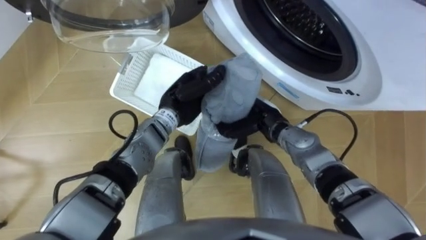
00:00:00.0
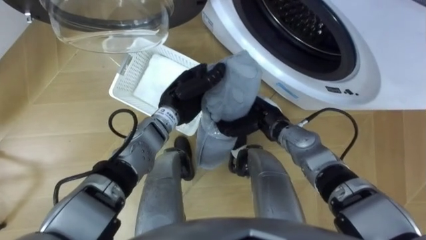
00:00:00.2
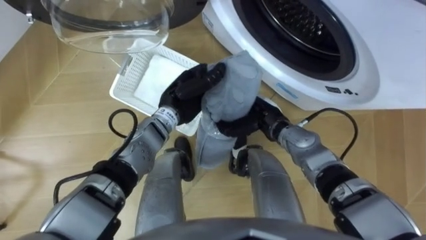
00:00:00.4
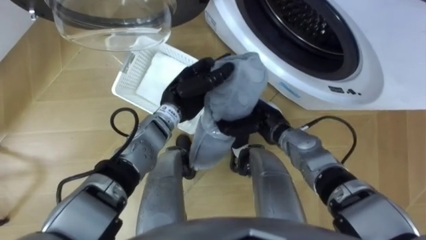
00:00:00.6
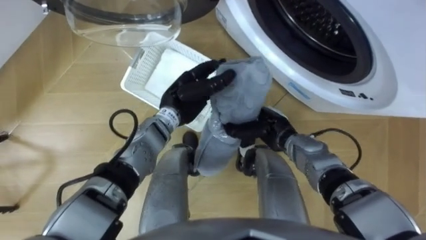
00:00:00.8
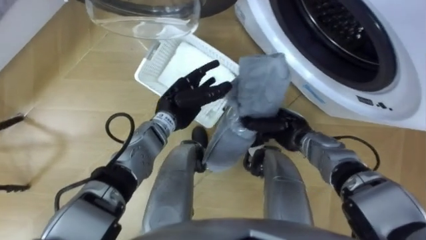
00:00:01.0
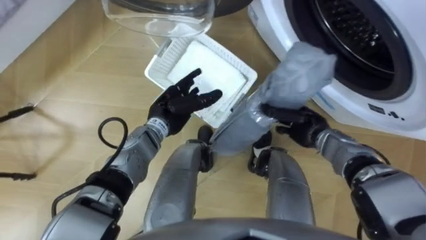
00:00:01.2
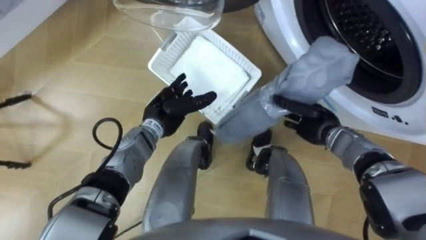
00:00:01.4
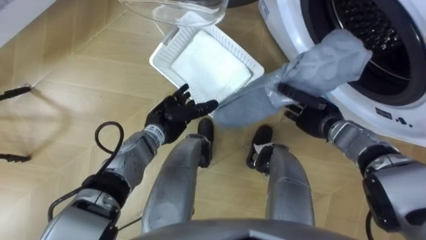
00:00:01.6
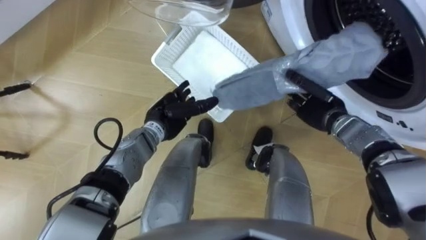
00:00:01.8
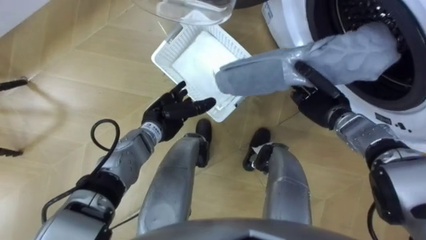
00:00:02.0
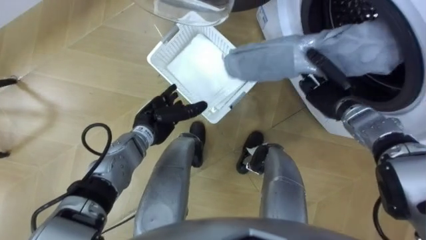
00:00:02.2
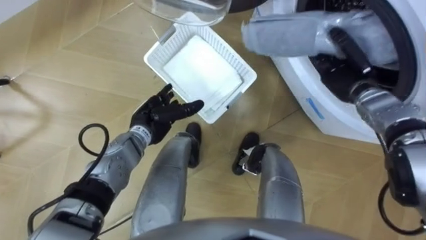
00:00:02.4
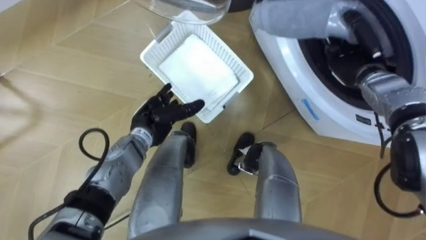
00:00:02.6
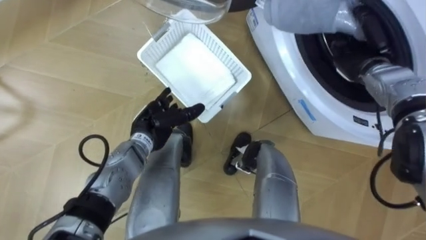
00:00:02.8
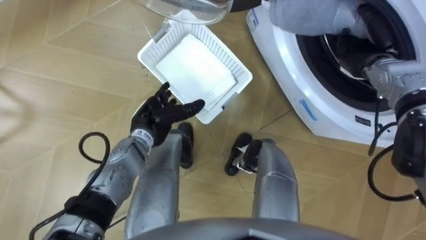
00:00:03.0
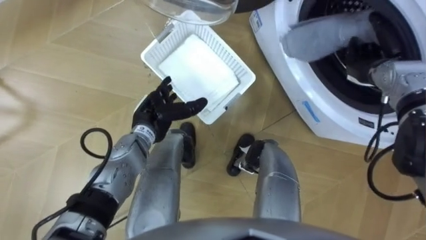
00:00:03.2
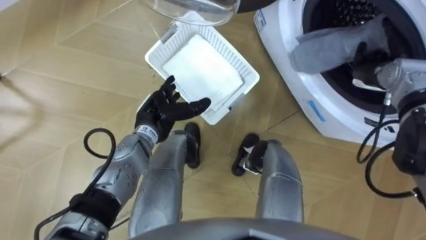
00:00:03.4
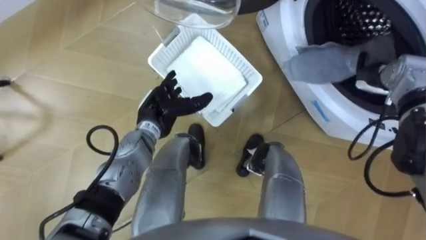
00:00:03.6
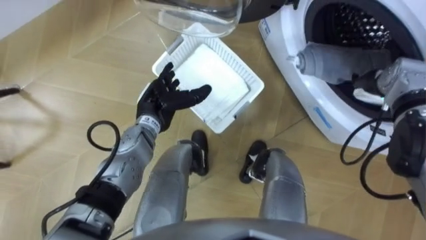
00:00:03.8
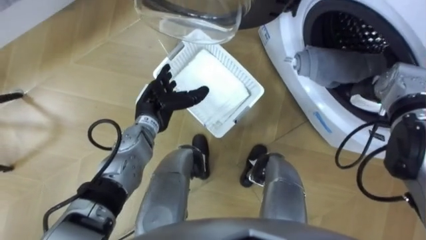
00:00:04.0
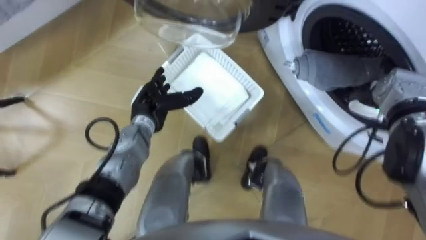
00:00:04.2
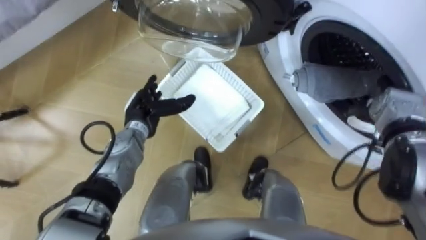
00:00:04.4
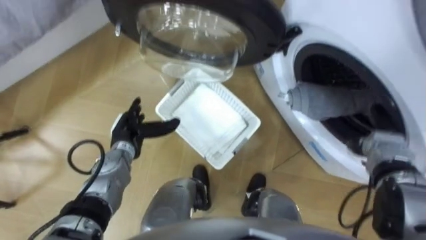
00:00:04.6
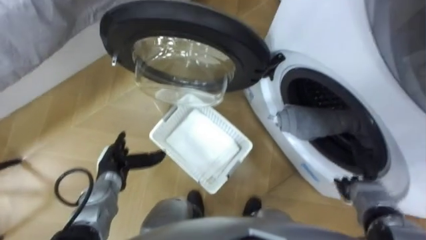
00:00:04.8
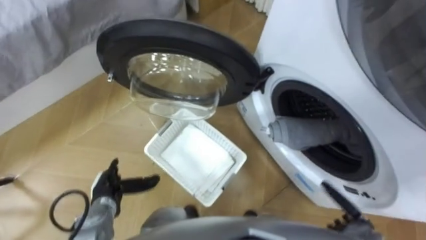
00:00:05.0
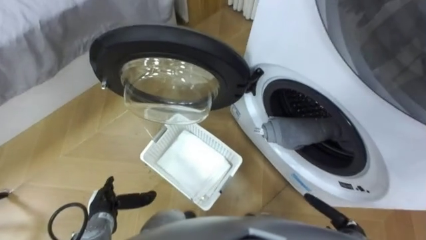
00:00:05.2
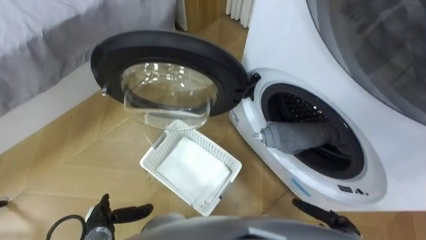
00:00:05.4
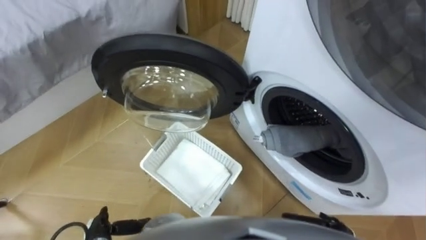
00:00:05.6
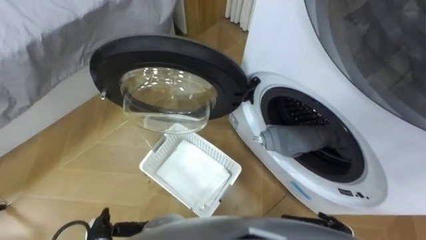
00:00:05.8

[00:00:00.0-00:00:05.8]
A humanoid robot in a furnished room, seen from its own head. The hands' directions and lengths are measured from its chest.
Task of the whole recording: Take the towel from the basket and put it into the washing machine.
00:00:00.0 to 00:00:01.4: The right hand moves to the right, some 15 cm; the left hand ends up about 5 cm from where it was, and opens up.
00:00:01.4 to 00:00:02.8: The right hand travels upward, forward and to the right by some 15 cm.
00:00:02.8 to 00:00:04.4: The right hand heads backward and downward, covering approximately 10 cm, and opens up.
00:00:04.4 to 00:00:05.8: Both hands travel together backward and downward, some 30 cm.

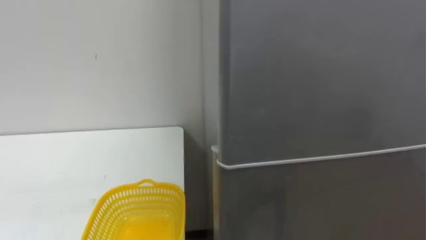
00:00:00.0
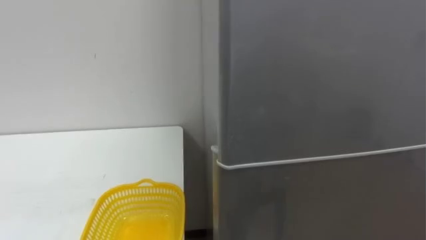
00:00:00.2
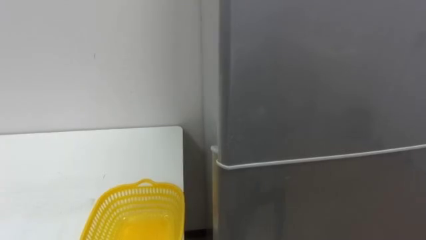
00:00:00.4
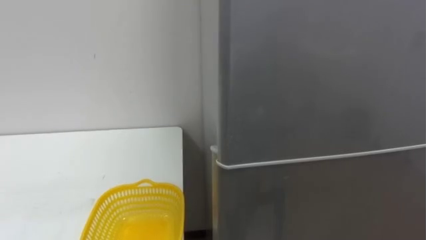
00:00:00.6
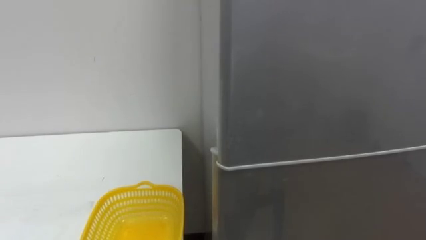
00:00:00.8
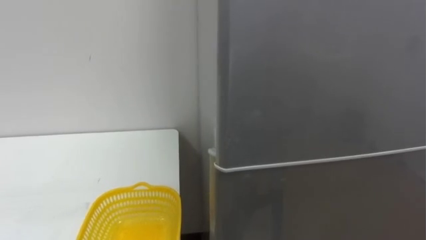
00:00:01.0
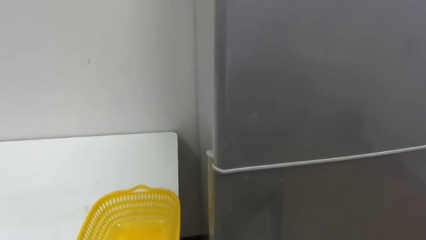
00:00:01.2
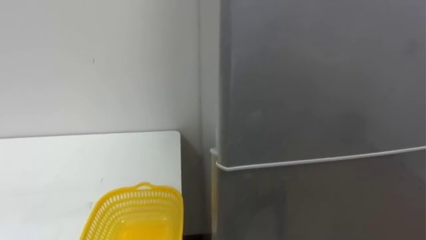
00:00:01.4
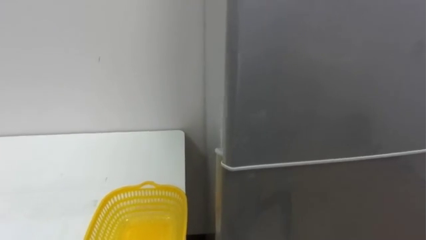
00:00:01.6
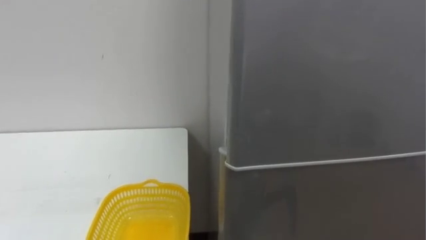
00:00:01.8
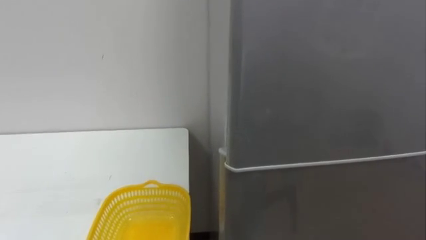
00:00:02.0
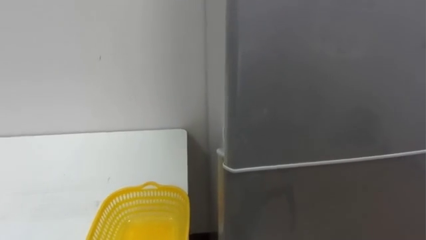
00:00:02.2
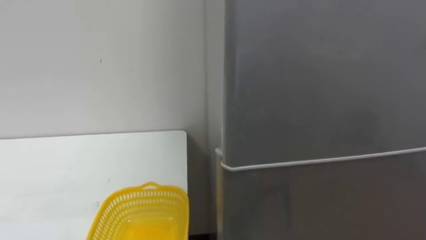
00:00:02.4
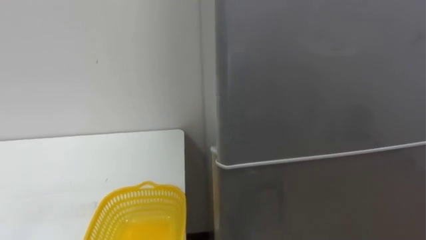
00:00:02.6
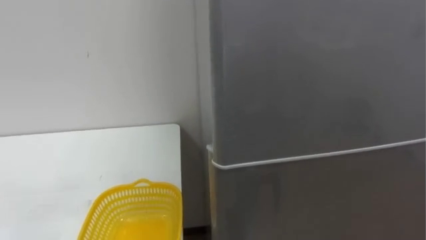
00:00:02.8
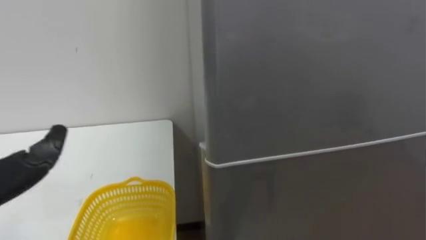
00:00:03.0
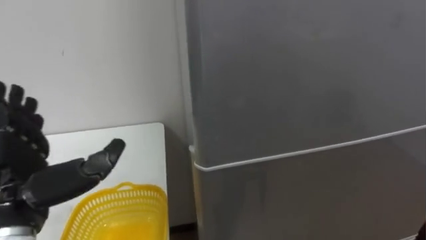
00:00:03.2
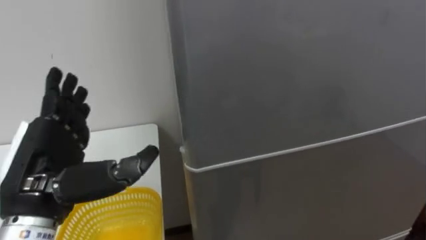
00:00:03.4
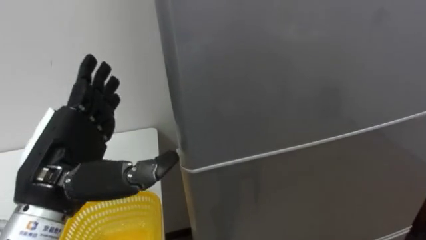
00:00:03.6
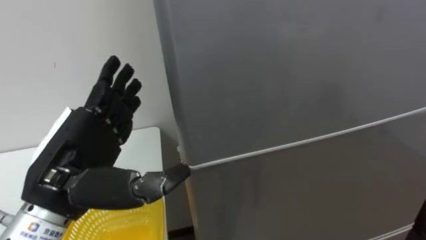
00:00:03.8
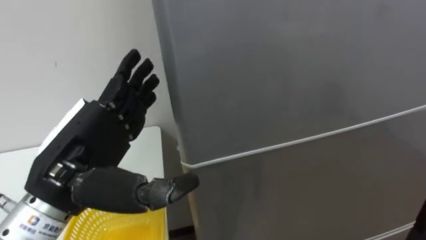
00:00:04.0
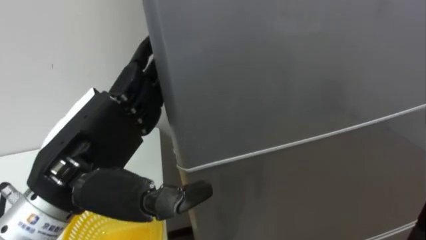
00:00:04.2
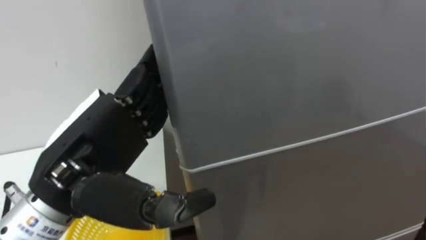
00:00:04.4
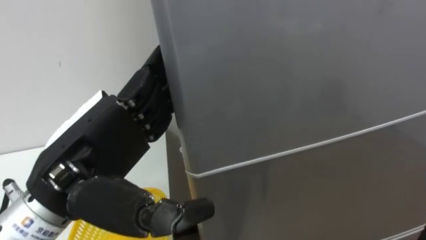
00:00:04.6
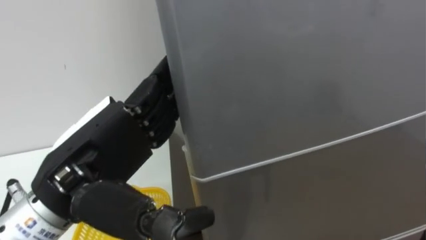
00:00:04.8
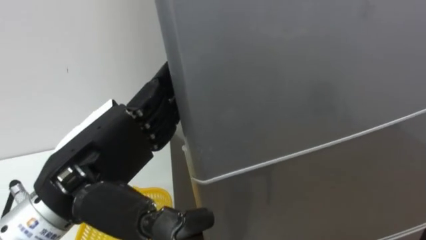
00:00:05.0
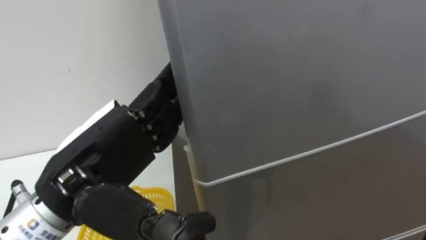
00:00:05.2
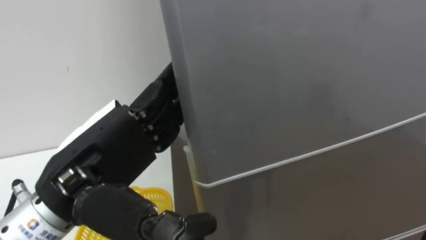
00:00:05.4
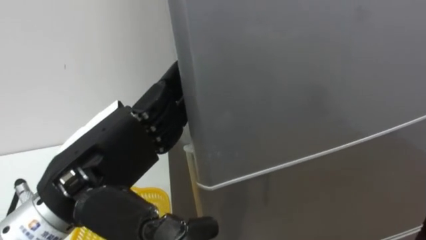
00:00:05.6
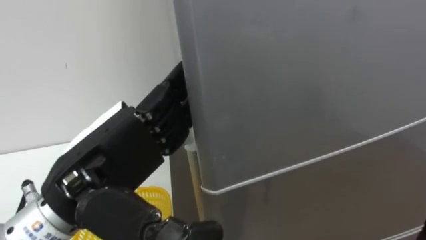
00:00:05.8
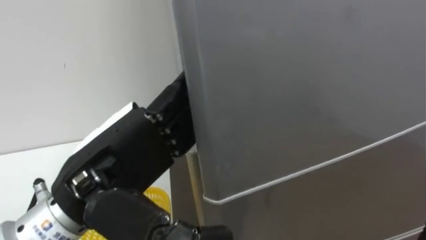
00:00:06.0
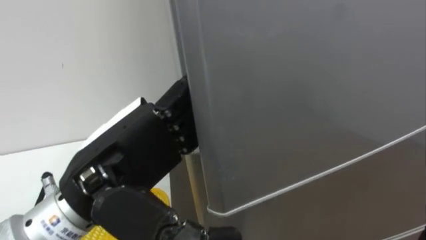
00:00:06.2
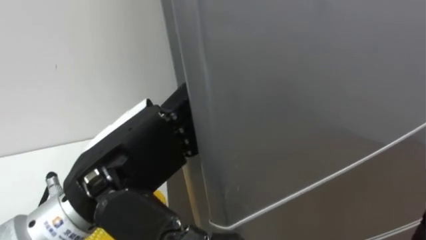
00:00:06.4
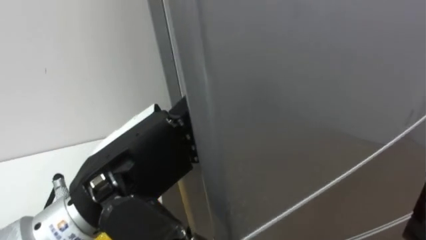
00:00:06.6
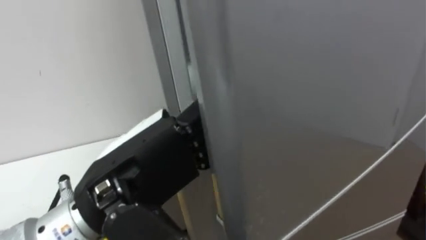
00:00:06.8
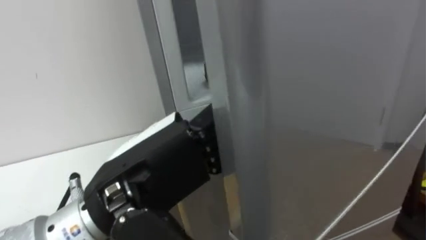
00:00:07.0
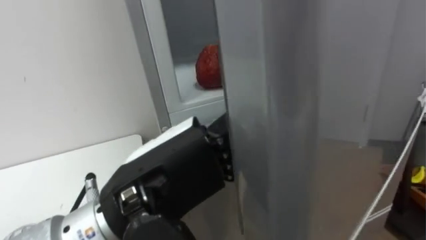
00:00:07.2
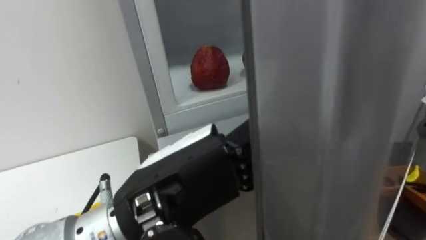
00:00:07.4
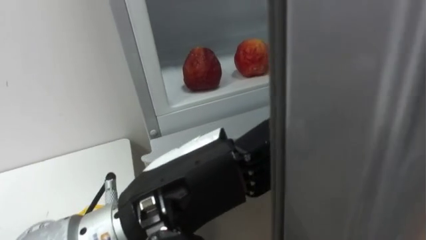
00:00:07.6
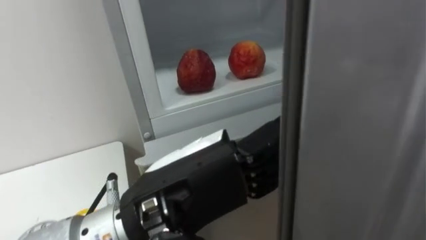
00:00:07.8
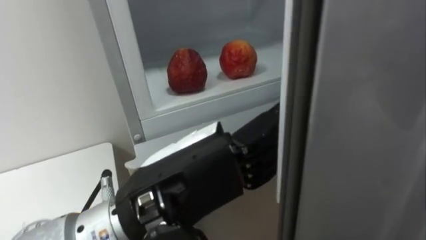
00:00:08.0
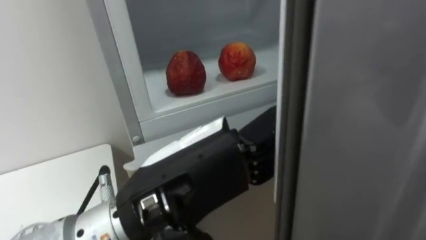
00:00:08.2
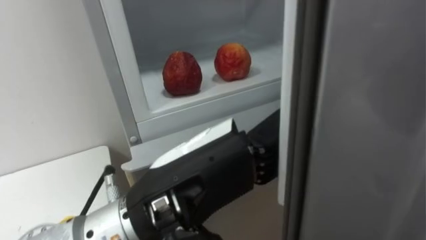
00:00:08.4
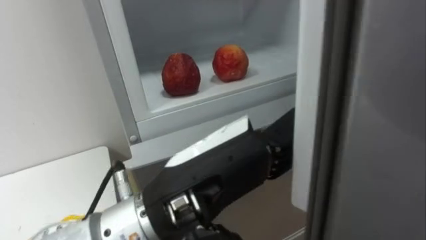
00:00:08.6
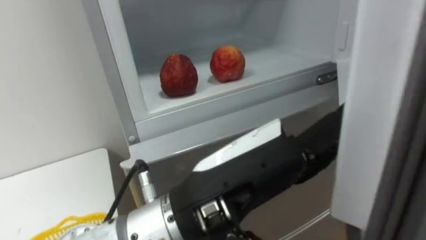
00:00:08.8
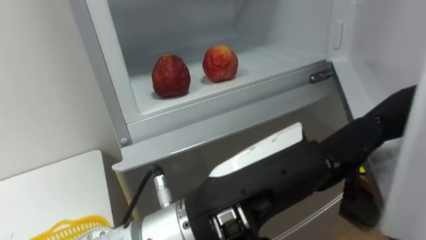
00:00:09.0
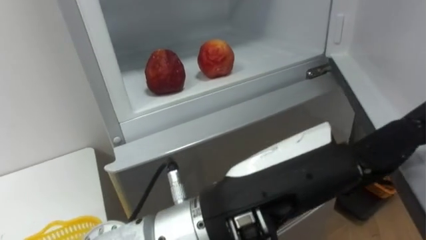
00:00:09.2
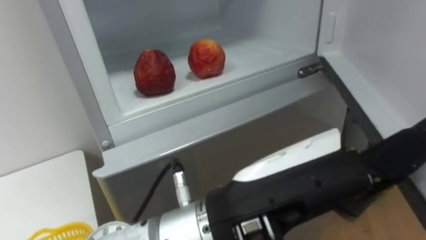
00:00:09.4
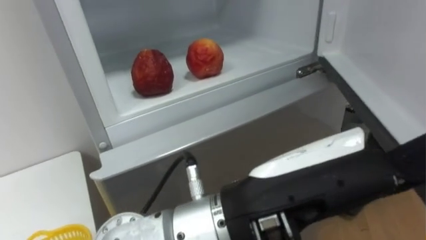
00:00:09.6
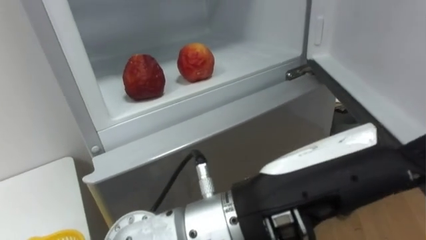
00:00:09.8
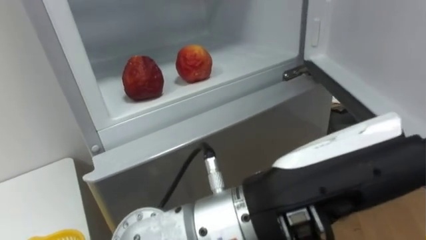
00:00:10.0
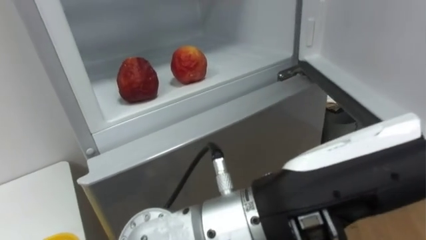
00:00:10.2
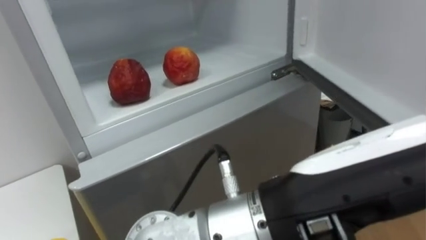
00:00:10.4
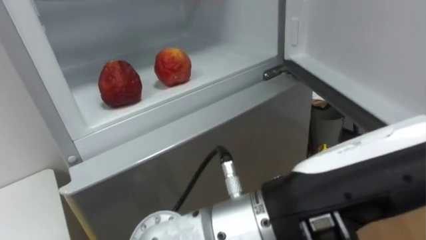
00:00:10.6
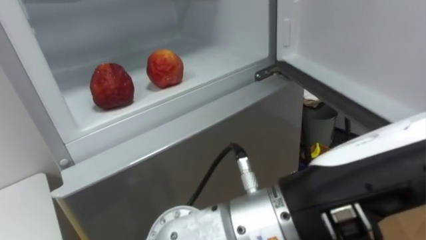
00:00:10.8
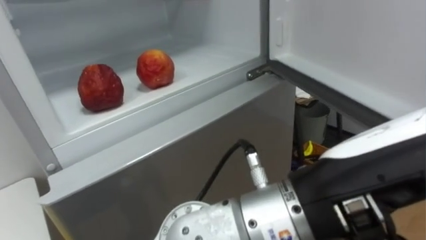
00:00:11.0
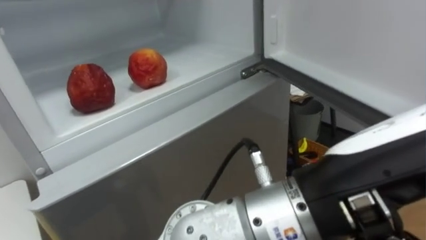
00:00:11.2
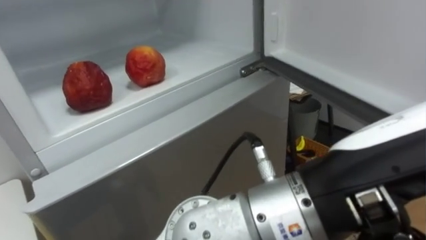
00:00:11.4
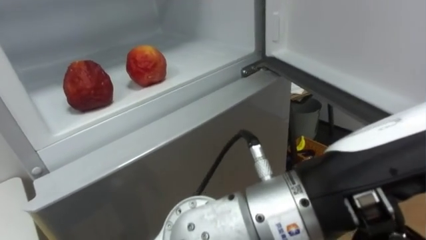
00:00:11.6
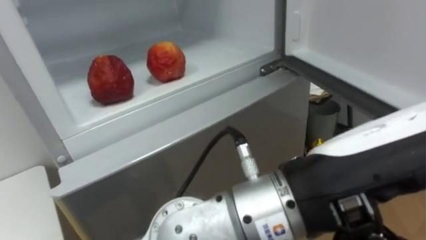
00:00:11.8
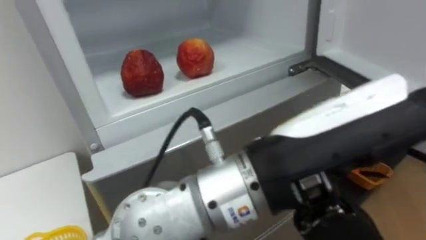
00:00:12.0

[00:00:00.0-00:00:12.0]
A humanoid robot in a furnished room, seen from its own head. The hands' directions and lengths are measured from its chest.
Task of the whole recording: Open the refrigerator door, take out the apple and the pomegranate, place them in the fruit basket on the left, and close the refrigerator door.
00:00:06.0 to 00:00:07.6: The left hand goes roughly 5 cm to the right.
00:00:07.6 to 00:00:09.0: The left hand is displaced to the right by roughly 5 cm.
00:00:09.0 to 00:00:10.4: The left hand is displaced to the right by about 5 cm.
